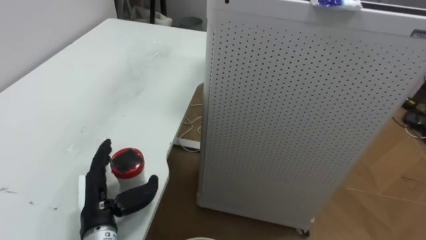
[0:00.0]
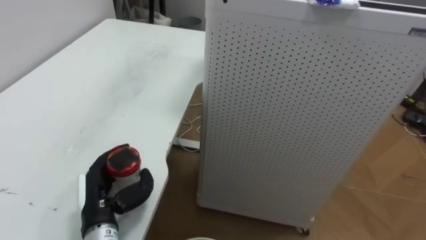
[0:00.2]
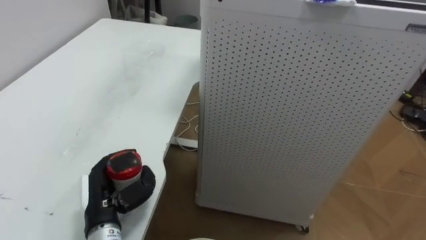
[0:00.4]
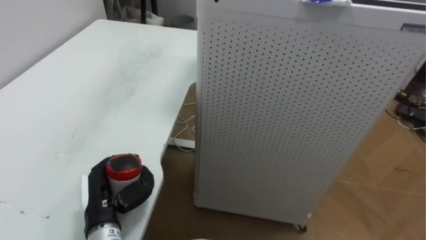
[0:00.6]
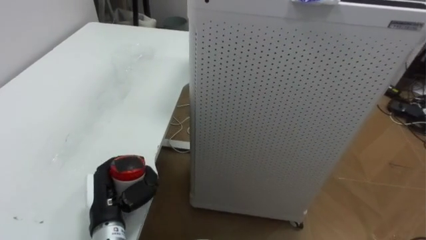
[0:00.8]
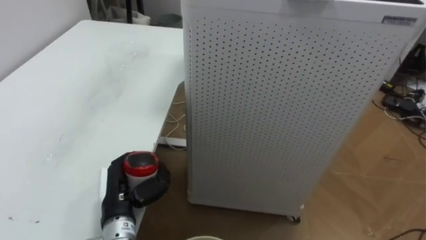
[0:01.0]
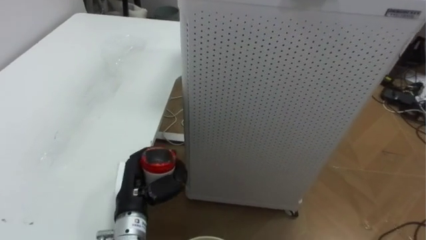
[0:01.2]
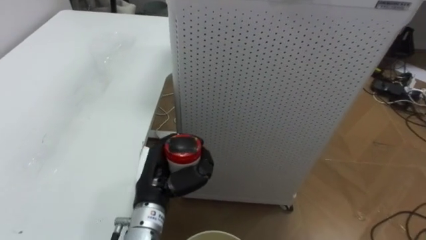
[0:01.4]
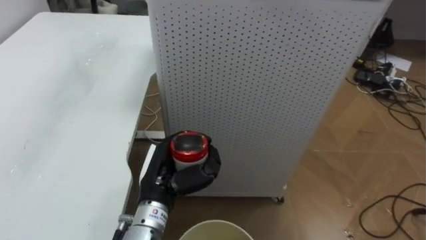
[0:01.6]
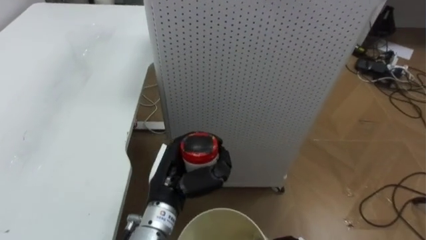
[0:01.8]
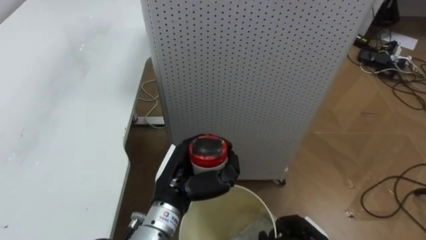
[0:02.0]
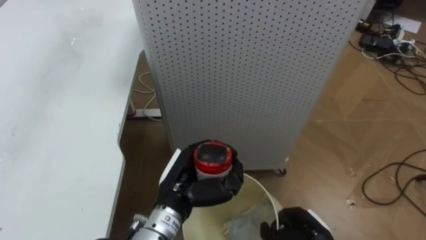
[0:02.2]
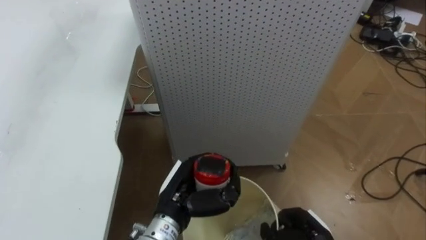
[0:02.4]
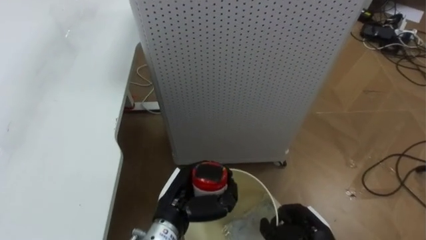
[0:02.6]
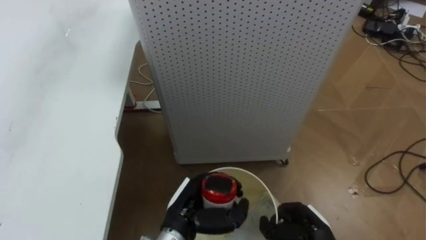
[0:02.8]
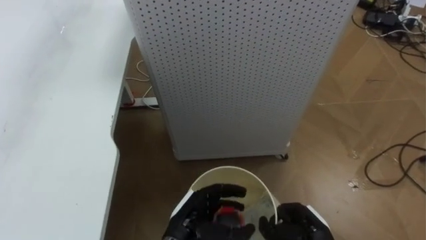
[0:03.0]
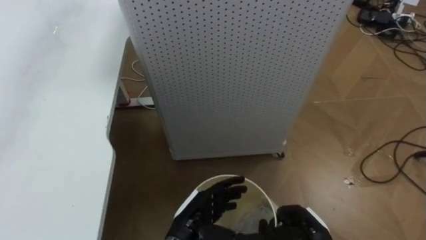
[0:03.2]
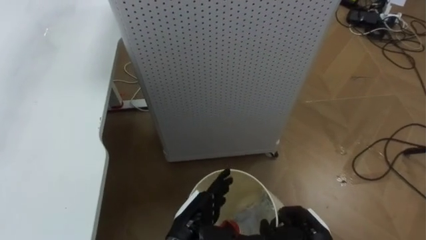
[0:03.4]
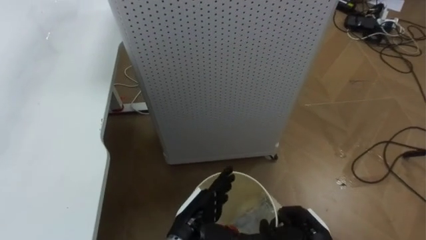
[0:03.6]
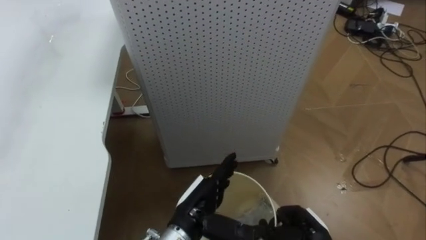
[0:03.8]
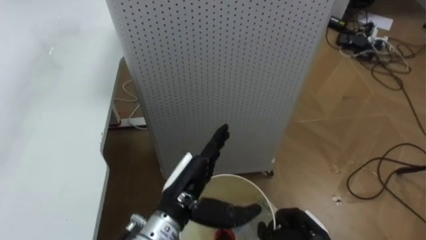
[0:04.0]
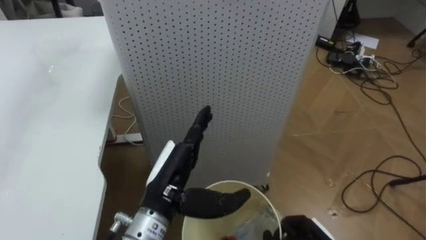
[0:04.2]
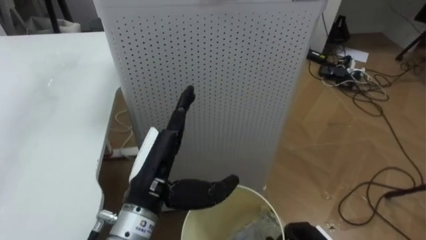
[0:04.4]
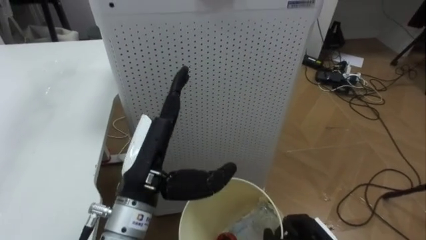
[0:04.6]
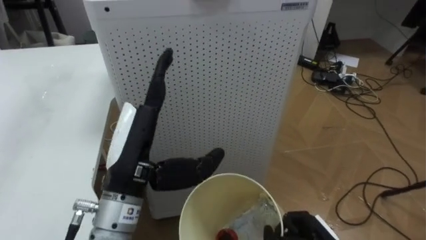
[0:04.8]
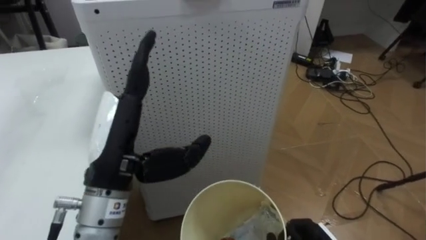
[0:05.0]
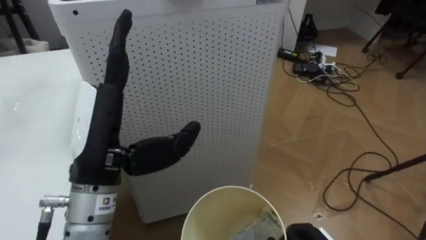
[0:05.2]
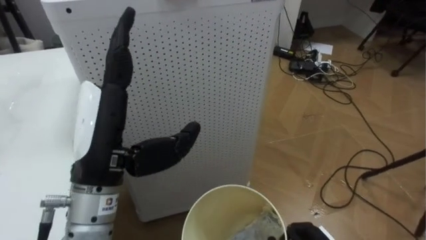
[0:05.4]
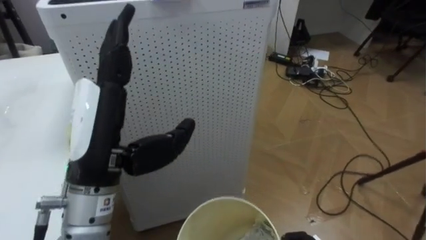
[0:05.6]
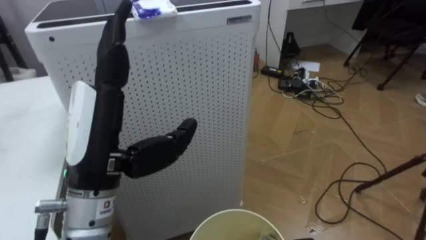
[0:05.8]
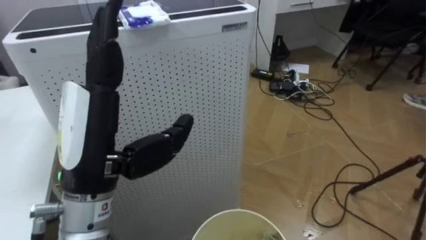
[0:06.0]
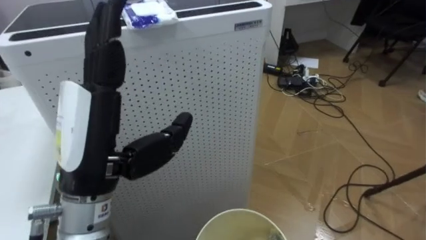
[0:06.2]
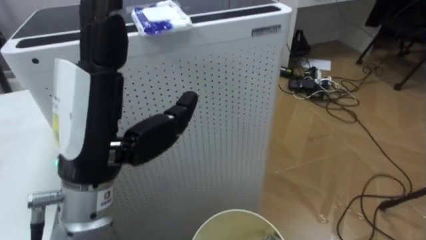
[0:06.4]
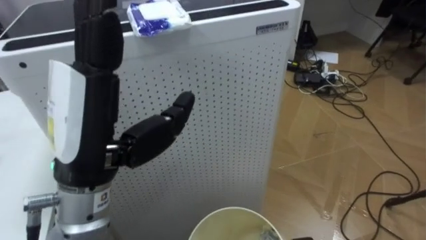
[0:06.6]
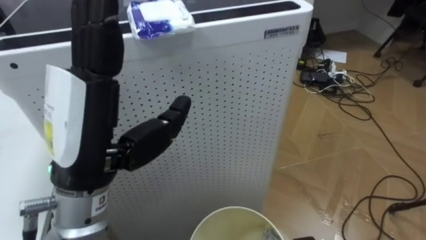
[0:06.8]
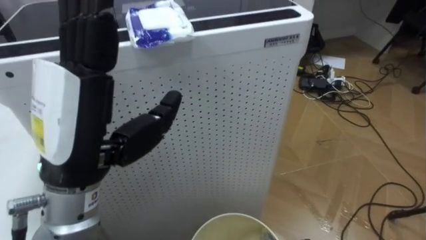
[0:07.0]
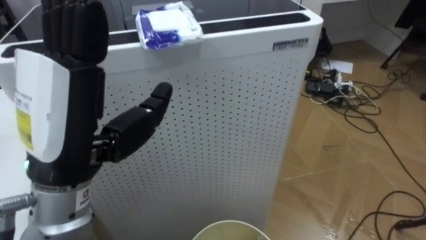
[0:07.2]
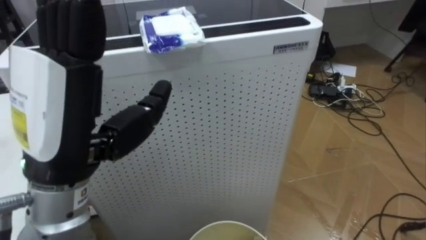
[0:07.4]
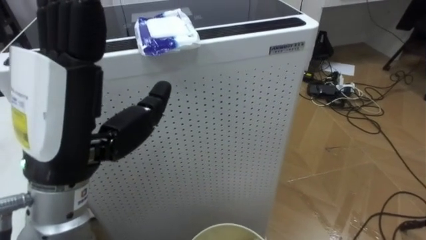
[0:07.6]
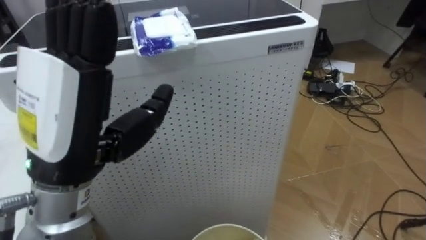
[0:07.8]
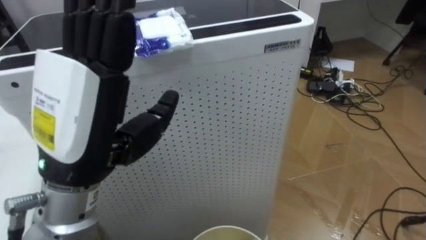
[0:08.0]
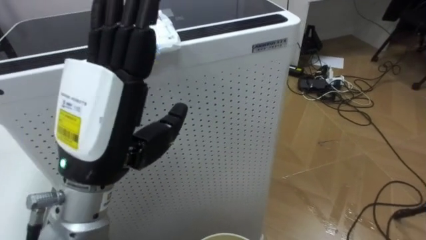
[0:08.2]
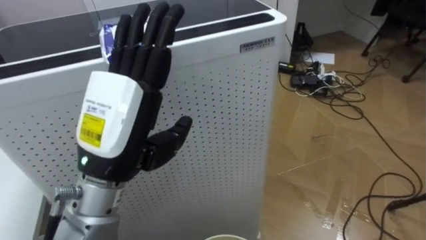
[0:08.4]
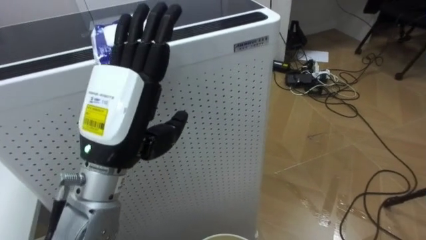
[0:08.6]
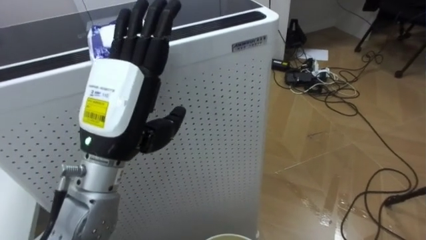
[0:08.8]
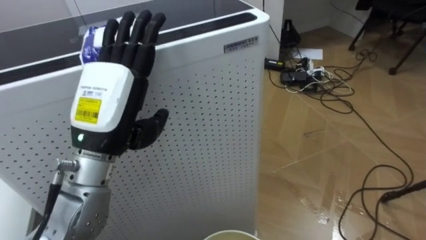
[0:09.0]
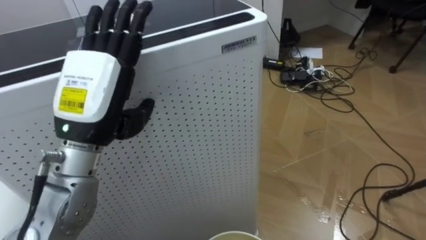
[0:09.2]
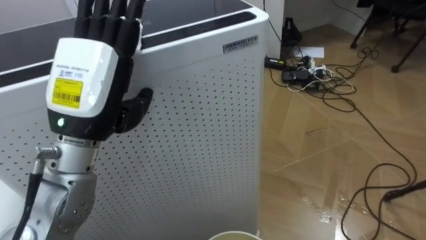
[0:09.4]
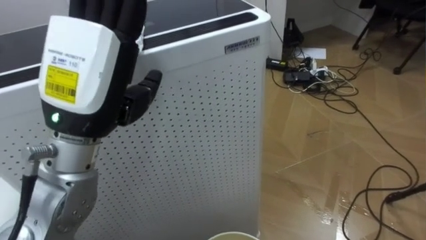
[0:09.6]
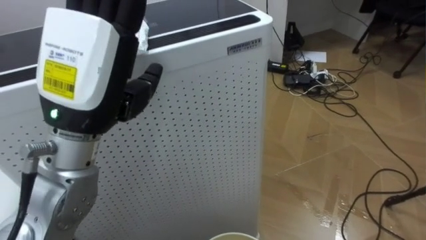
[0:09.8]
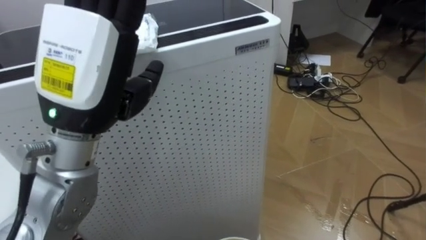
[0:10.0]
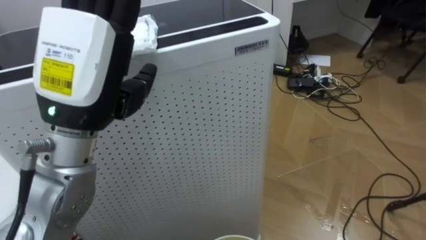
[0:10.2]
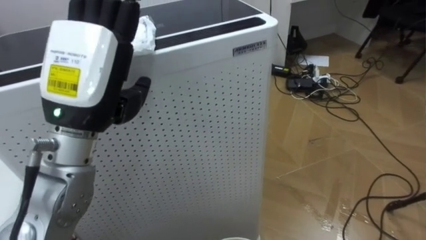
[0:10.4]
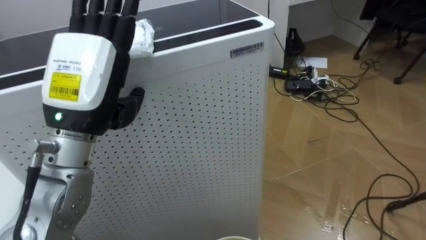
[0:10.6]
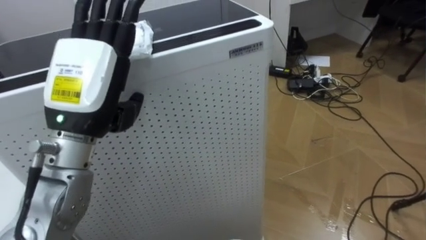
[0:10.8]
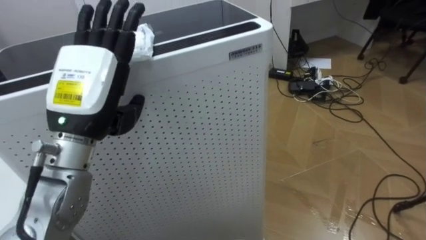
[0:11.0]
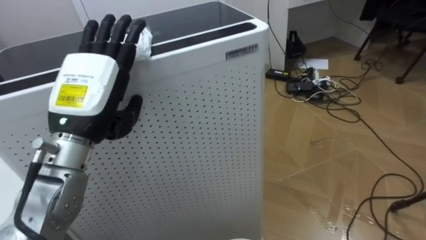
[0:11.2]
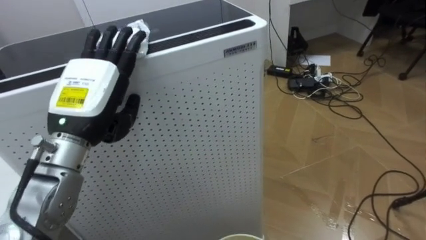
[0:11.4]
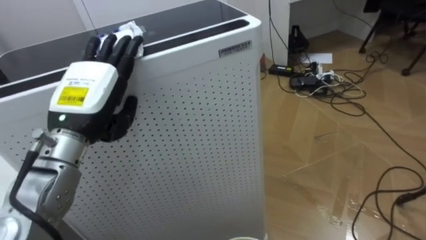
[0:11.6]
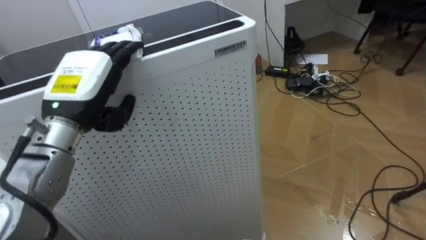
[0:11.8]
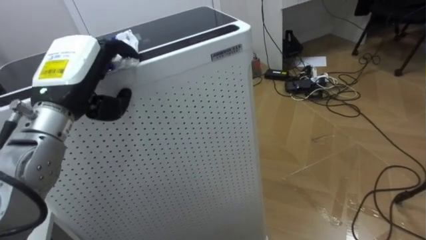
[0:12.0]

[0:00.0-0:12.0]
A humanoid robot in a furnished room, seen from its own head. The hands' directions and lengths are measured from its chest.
Task of the whole recording: Pick up the light blue package, the candy box, and the dark blue package separately, and put them into the trash can held in your right hand.
0:00.0 to 0:01.6: The left hand travels to the right by about 10 cm, and closes its fingers.
0:01.6 to 0:03.0: The left hand heads downward and to the right, covering approximately 10 cm, and opens.
0:03.0 to 0:04.4: The left hand heads upward, covering approximately 15 cm.
0:04.4 to 0:06.0: The robot rotates some 20 degrees to its right. The left hand heads upward and to the left, covering about 10 cm.
0:06.0 to 0:07.6: The left hand shifts by about 5 cm.
0:07.6 to 0:09.0: The left hand travels forward and downward by some 10 cm.
0:09.0 to 0:10.4: The left hand shifts about 5 cm upward.
0:10.4 to 0:12.0: The left hand shifts approximately 10 cm forward and to the left, and closes its fingers.

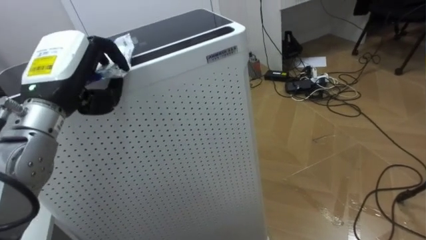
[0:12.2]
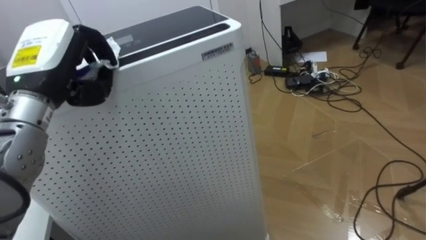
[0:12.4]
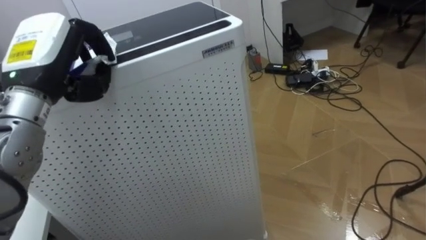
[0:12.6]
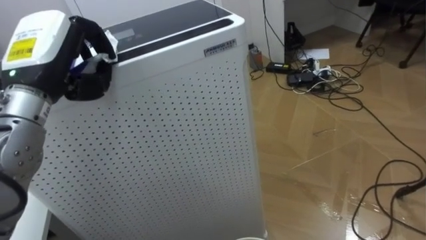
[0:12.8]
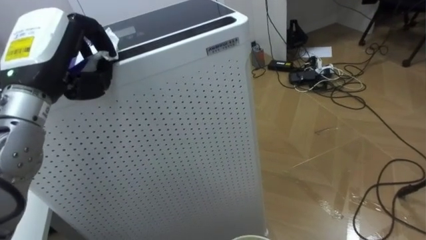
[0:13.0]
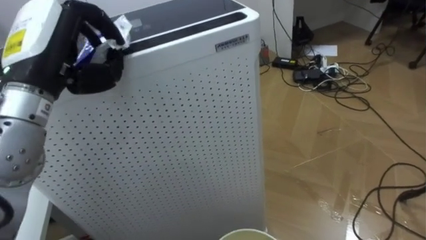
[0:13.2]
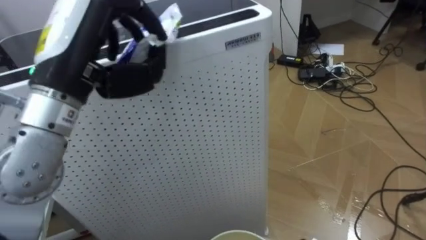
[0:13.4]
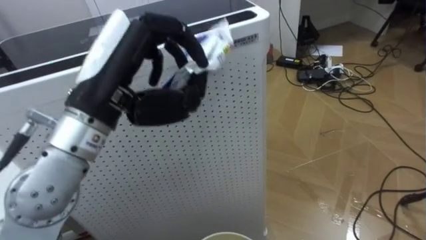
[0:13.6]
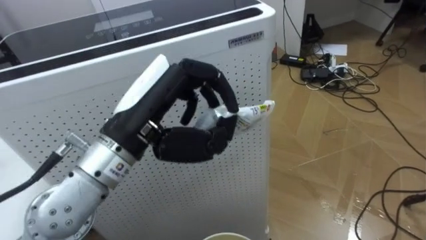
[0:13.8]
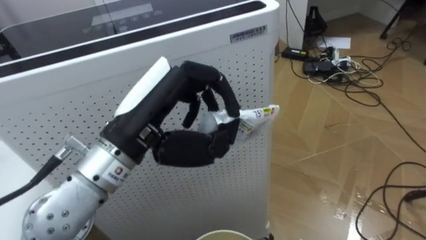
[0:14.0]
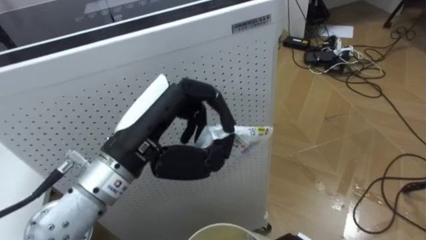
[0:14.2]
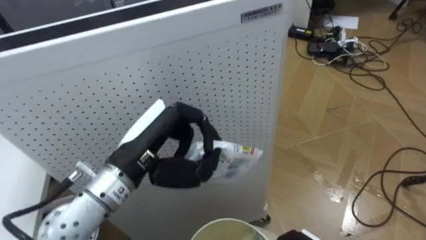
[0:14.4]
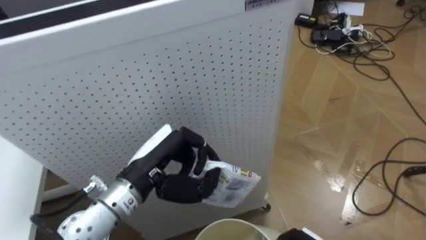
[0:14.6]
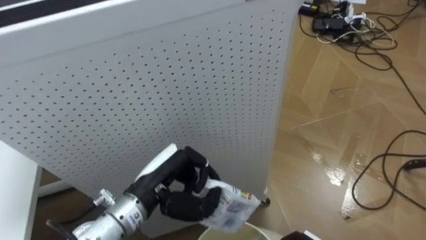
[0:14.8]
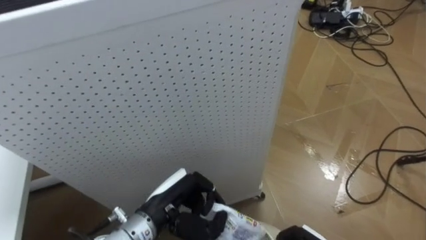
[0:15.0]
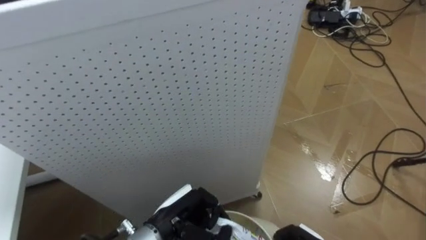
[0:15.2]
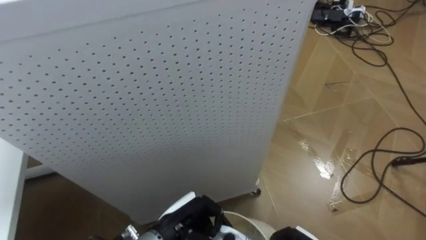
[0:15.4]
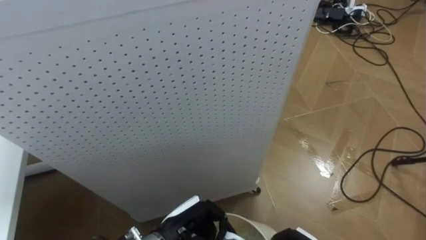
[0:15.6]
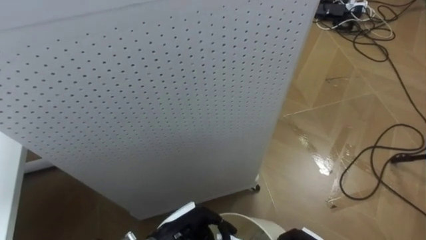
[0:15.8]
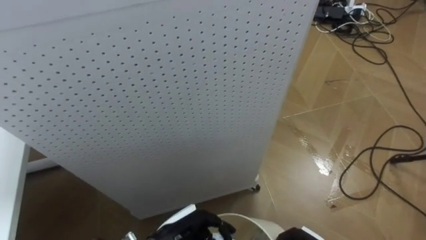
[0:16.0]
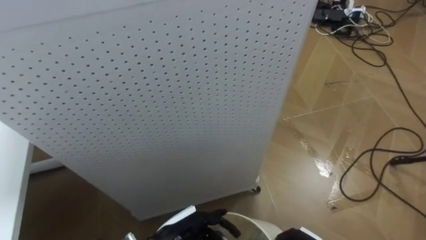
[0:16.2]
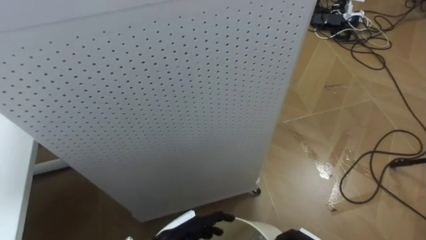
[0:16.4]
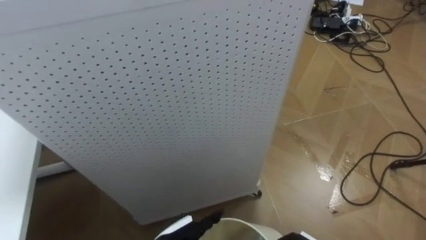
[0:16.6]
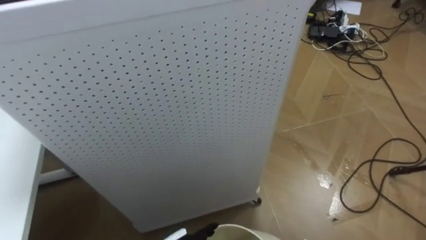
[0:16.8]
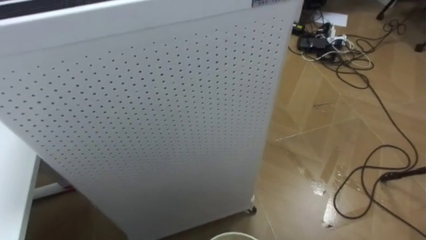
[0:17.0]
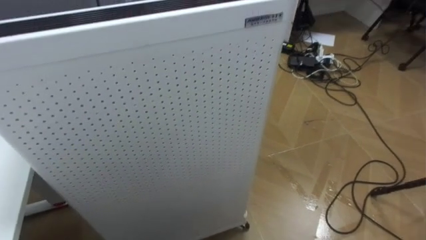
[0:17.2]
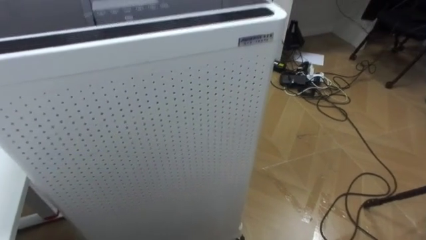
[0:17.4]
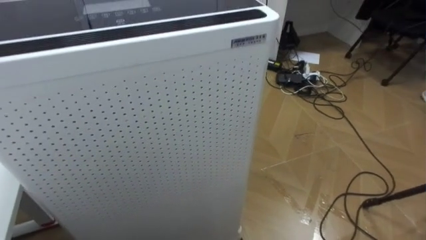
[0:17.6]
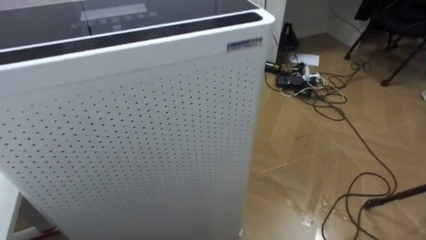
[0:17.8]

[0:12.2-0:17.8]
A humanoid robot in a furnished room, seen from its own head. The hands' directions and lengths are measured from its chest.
Task of the whole recording: Pick up the light blue package, the candy box, and the dark blue package separately, and put them into the trash can held in your right hand.
0:12.2 to 0:13.6: The left hand moves to the right, backward and upward, some 10 cm.
0:13.6 to 0:15.0: The left hand travels downward by about 25 cm.
0:15.0 to 0:16.4: The left hand heads downward, covering about 10 cm, and opens.
